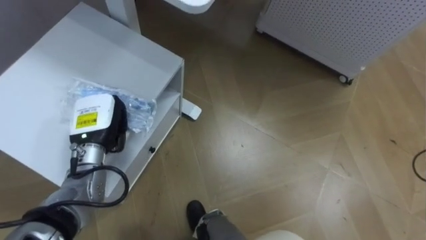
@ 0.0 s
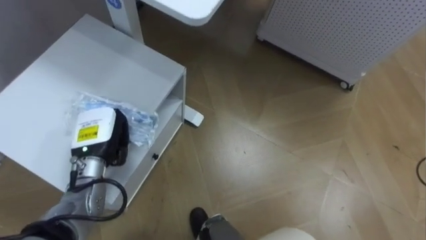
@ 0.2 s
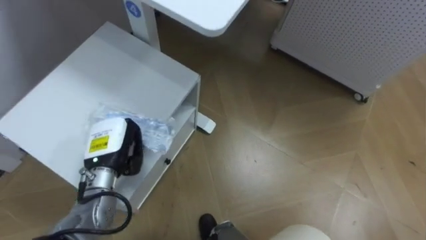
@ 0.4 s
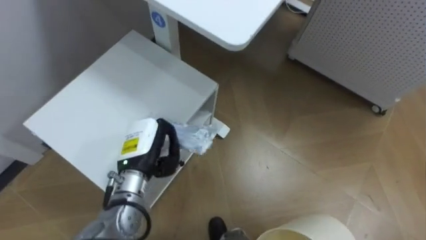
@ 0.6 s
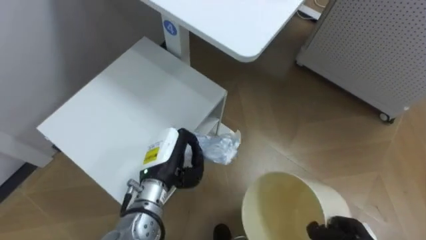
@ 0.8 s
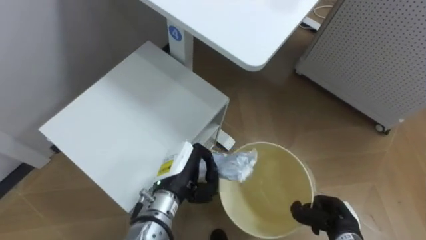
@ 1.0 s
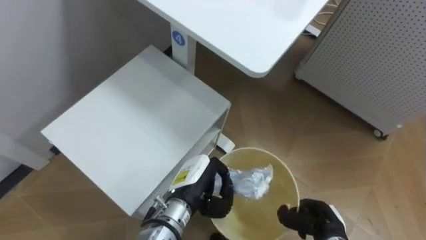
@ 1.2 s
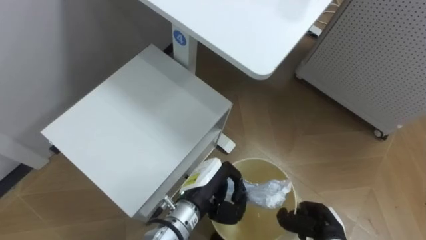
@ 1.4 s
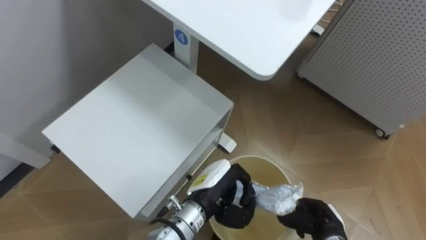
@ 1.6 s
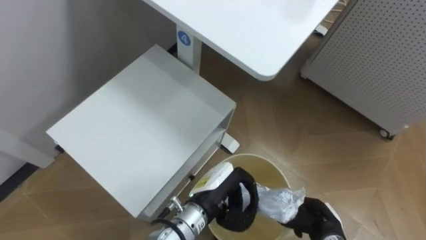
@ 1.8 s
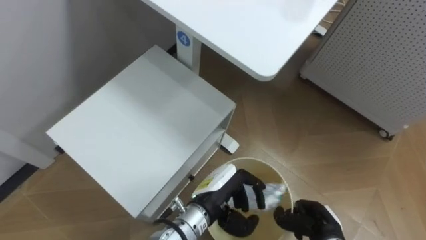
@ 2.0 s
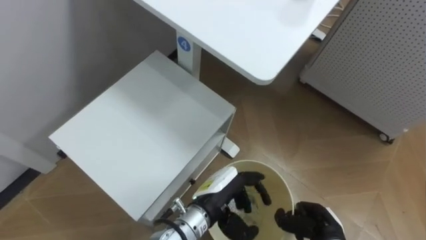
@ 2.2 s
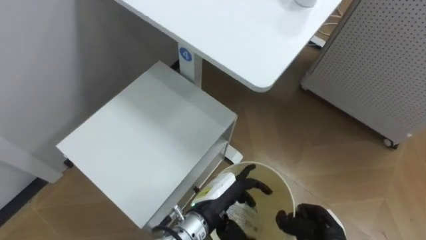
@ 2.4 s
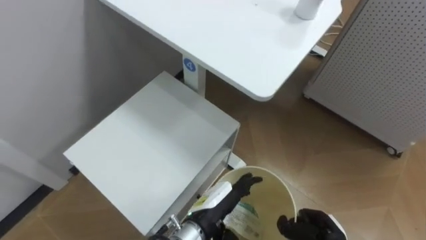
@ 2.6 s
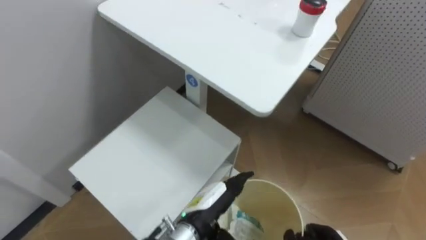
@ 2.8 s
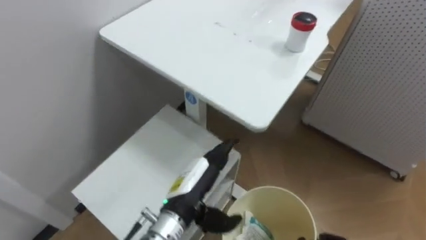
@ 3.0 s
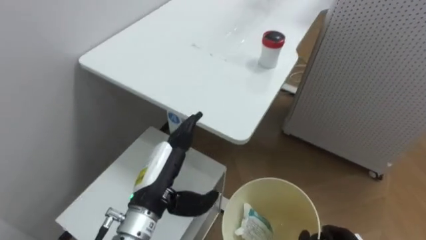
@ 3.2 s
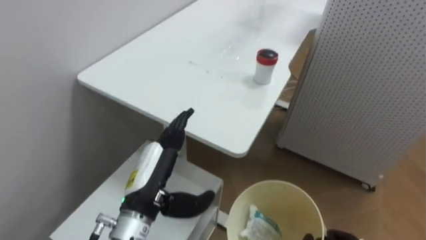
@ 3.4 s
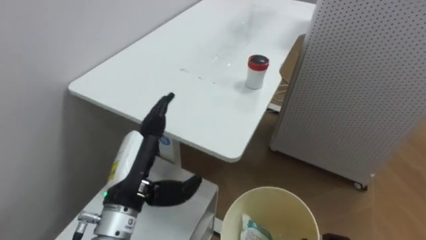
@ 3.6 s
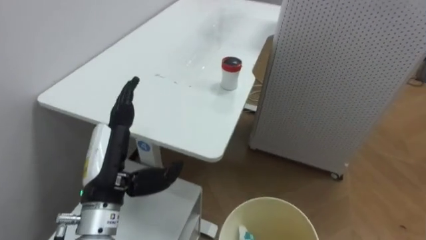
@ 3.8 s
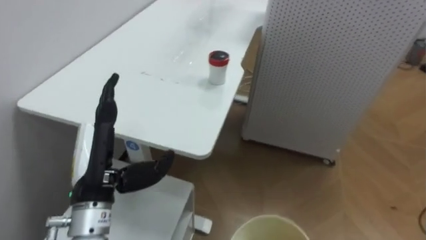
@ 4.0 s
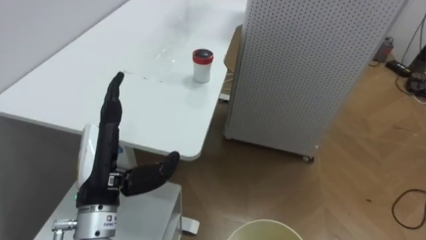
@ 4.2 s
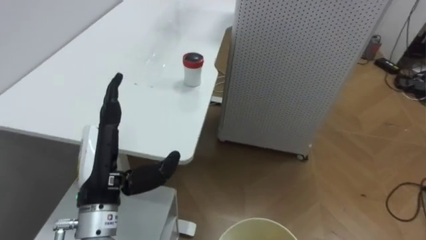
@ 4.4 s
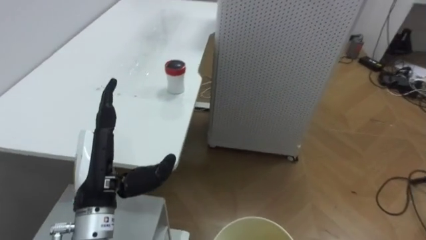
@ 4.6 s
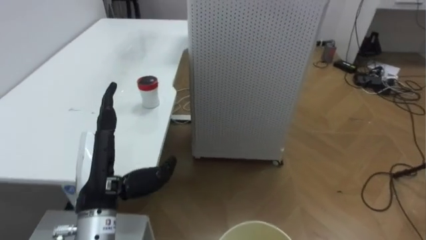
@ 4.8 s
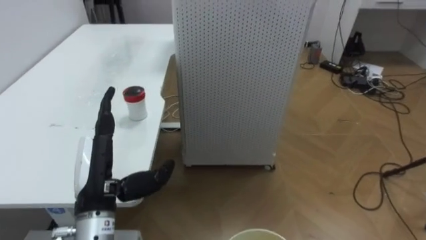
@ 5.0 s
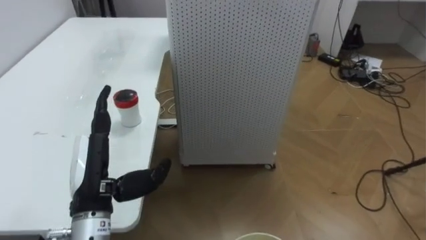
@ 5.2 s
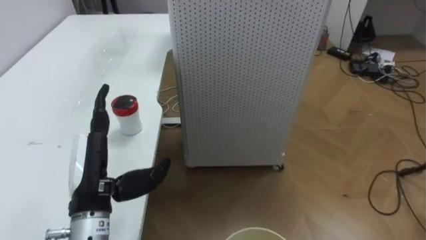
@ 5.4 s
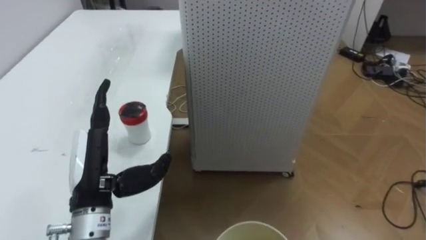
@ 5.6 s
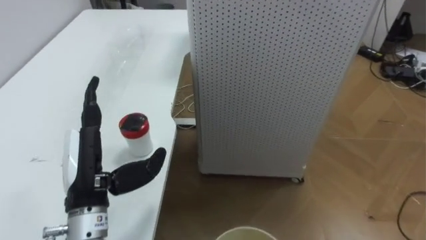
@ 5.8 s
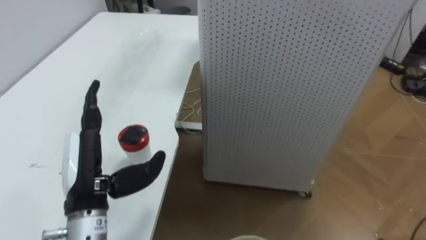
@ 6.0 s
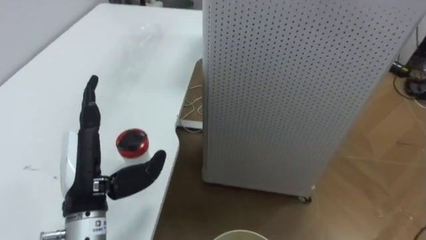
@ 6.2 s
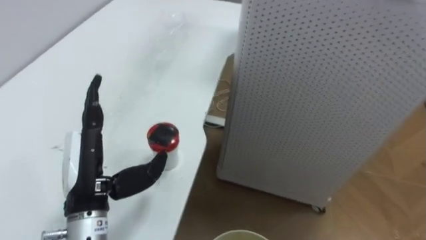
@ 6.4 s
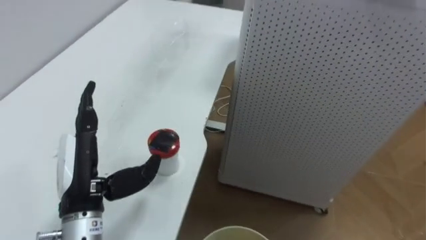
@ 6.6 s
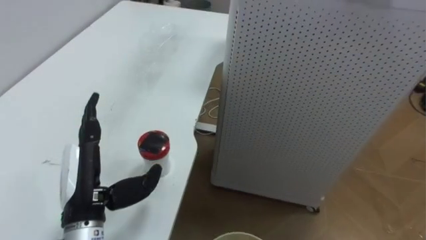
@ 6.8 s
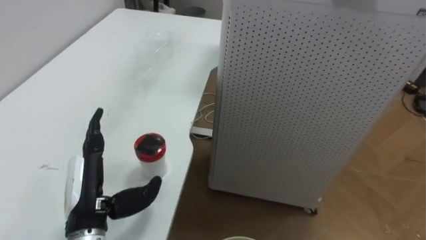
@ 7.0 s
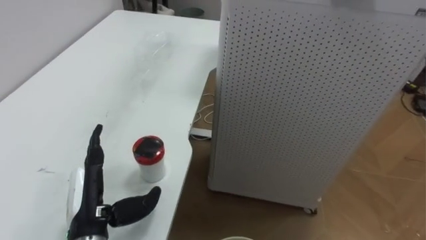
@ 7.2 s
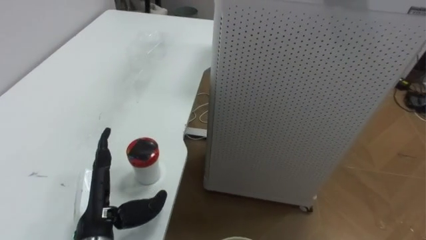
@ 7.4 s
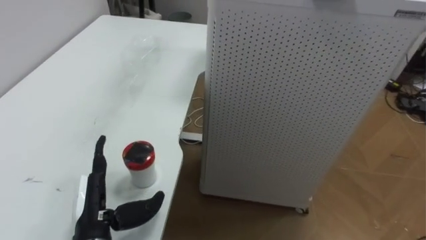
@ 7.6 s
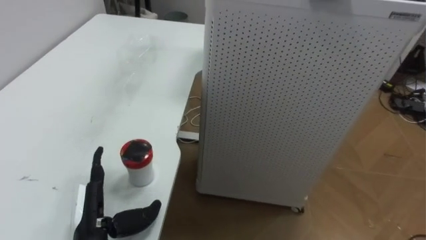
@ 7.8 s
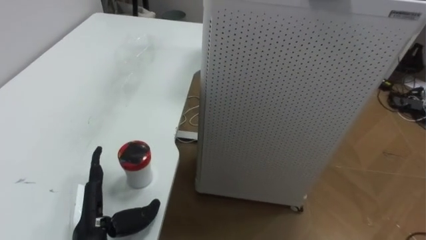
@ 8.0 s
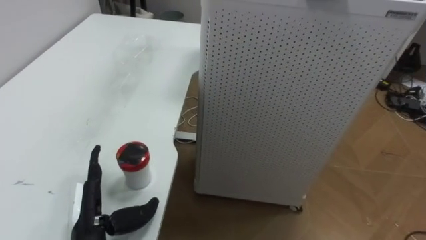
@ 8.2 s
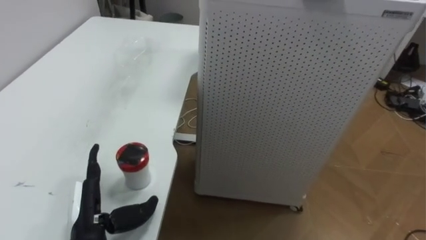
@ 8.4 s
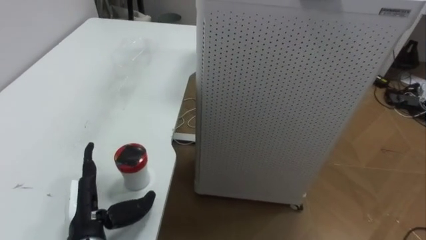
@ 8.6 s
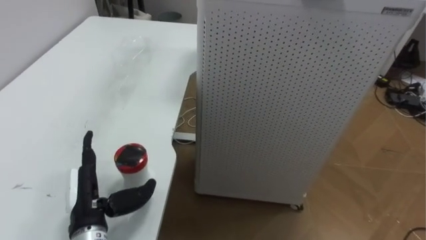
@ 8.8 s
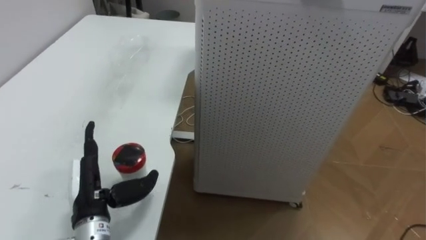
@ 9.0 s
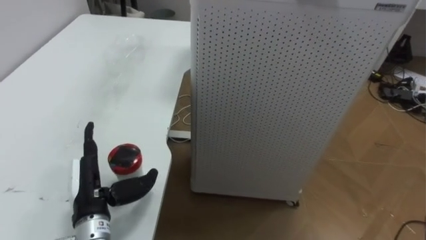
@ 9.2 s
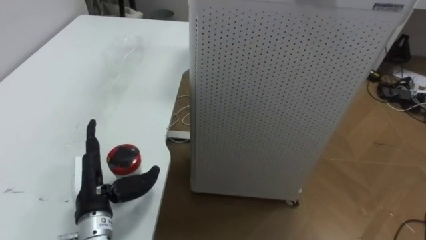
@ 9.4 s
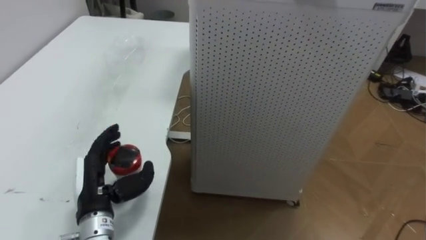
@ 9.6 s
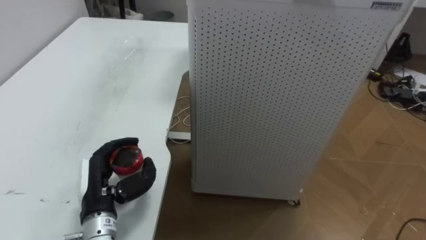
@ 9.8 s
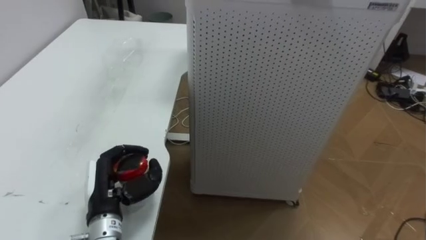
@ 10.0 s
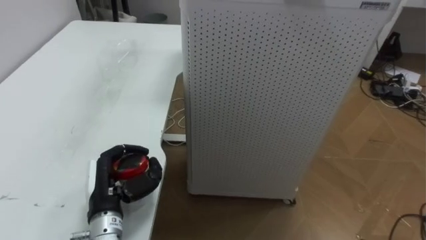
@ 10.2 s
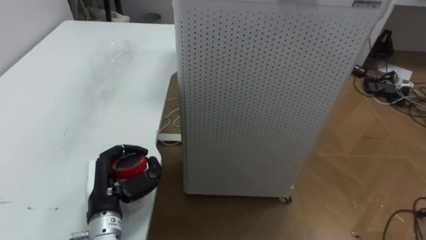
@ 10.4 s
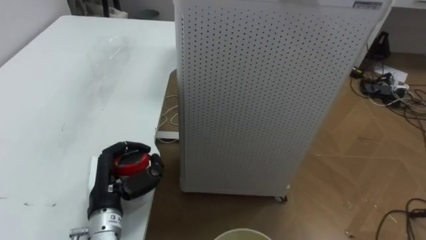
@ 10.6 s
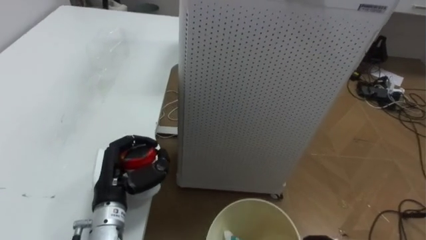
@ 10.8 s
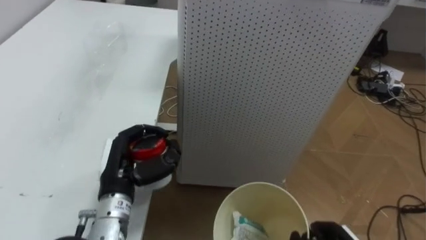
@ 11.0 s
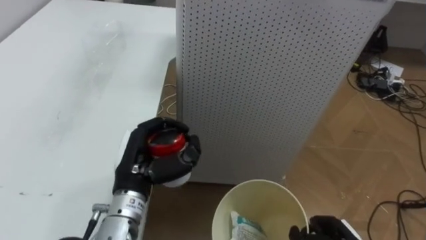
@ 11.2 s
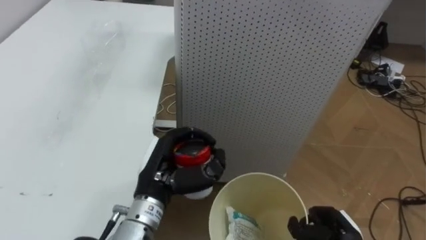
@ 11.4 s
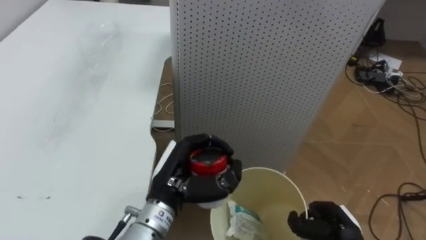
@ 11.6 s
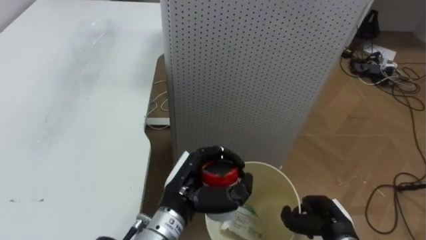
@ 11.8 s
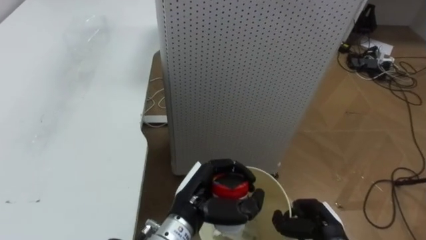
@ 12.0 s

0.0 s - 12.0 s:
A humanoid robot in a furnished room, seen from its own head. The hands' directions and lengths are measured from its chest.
Task of the whole recording: Pick up the light blue package, the candy box, and the dark blue package separately, and put them into the trash can held in your right hand.
0.0 s - 1.6 s: The left hand shifts roughly 25 cm to the right and backward.
1.6 s - 3.0 s: The left hand opens.
3.0 s - 4.4 s: The robot faces some 30 degrees further to its right. The left hand moves to the left and upward, roughly 15 cm.
6.0 s - 7.6 s: The left hand shifts approximately 10 cm downward.
9.0 s - 10.4 s: The left hand closes up.
10.4 s - 12.0 s: The left hand is displaced to the right by some 15 cm.

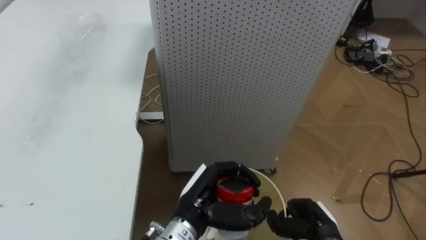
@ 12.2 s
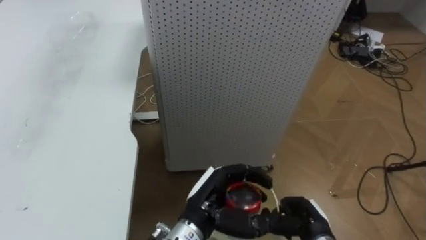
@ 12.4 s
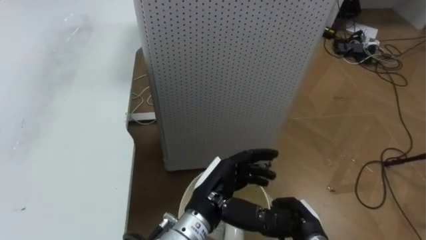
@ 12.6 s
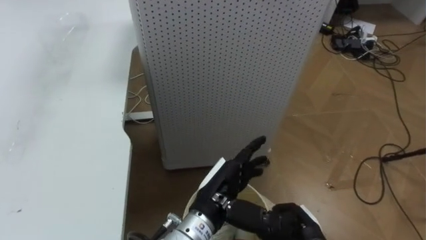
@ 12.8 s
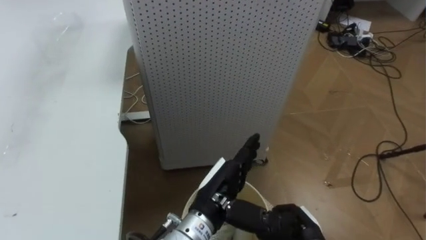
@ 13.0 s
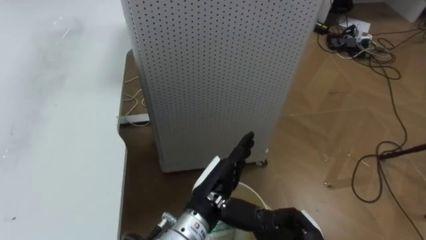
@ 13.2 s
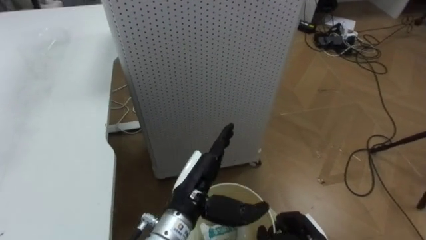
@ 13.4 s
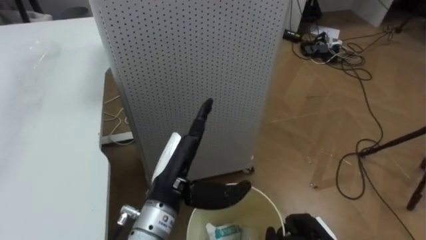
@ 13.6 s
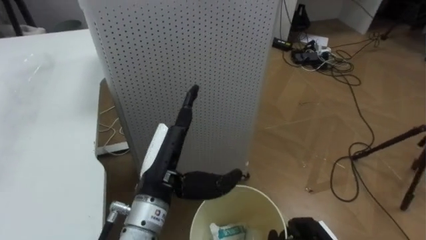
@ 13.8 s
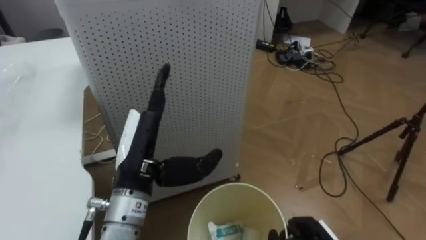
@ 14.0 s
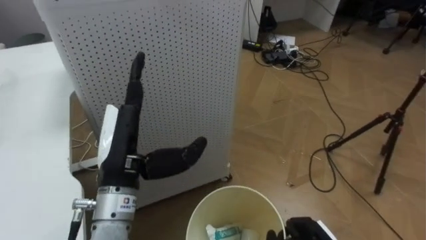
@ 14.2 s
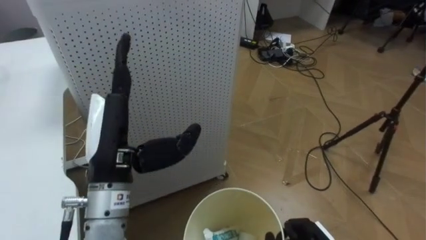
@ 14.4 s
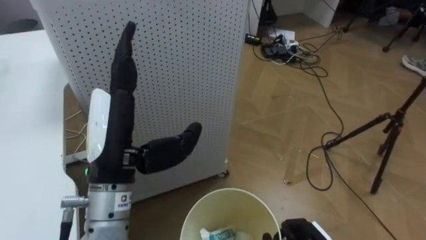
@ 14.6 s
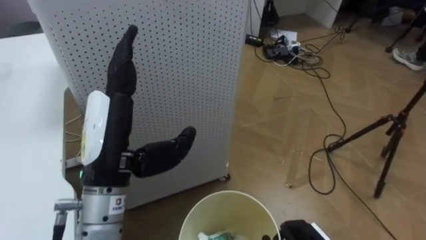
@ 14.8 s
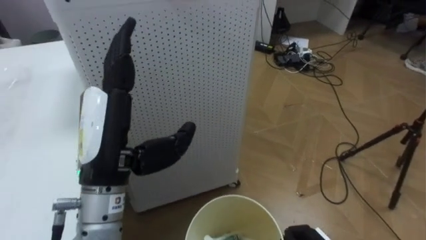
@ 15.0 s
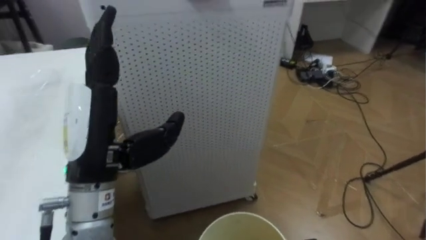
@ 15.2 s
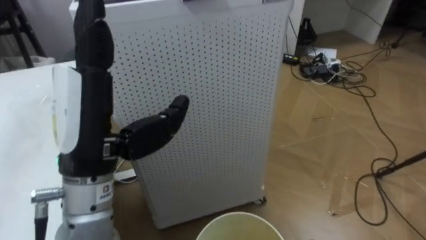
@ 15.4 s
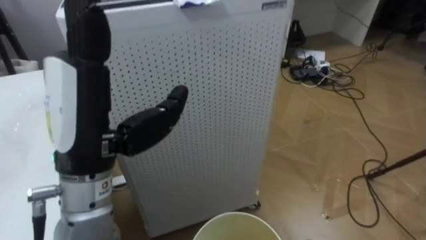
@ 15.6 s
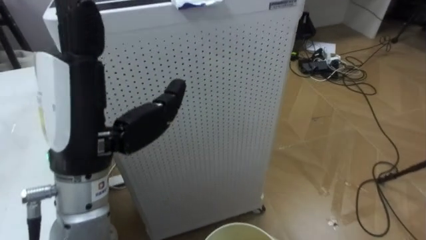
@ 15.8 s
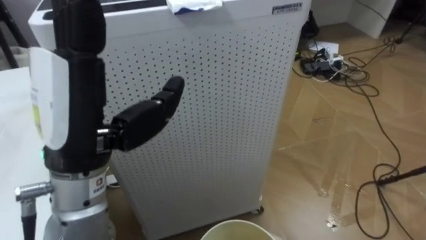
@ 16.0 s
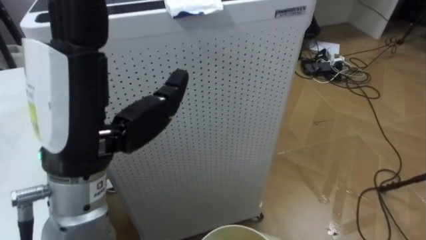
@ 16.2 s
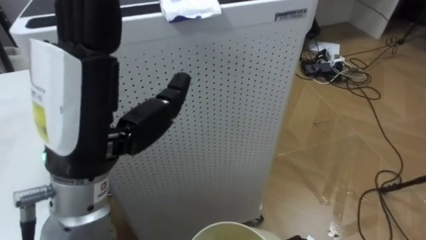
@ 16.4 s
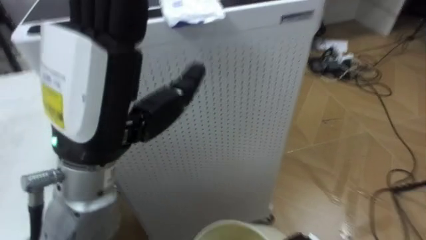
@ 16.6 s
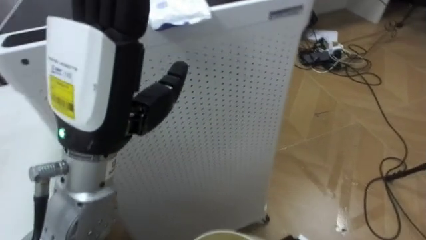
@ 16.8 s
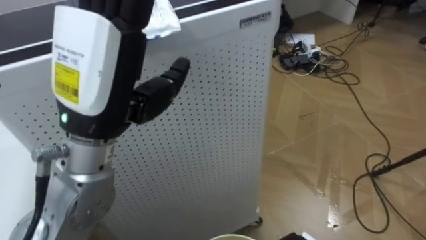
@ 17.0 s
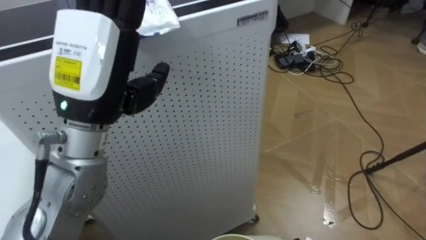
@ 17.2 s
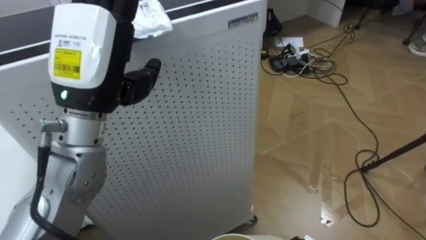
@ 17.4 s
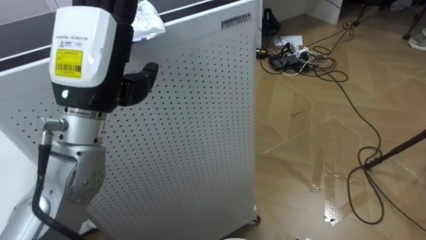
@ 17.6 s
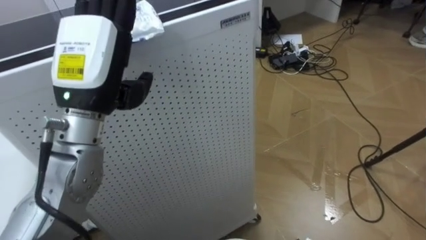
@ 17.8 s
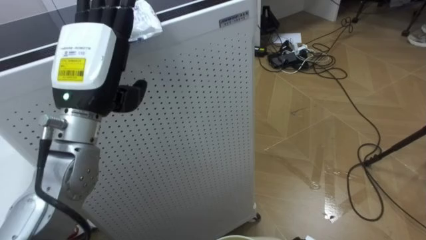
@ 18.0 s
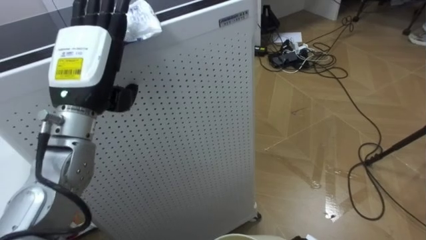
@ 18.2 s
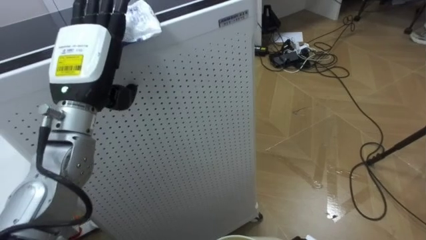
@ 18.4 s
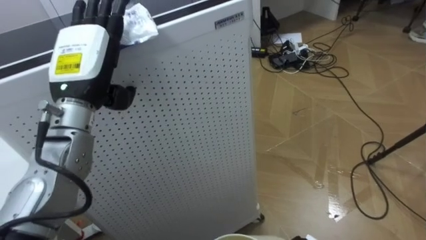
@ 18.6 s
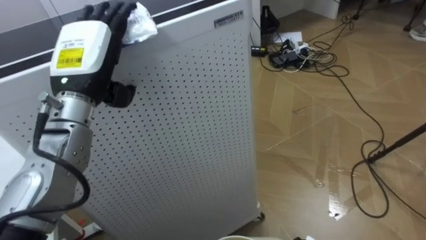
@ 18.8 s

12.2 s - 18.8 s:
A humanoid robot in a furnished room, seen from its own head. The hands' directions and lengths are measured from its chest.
Task of the whole recording: Pick up the light blue package, the candy box, and the dark blue package separately, and put them into the trash can held in your right hand.
12.2 s - 13.8 s: The left hand travels upward and to the left by roughly 10 cm, and opens.
13.8 s - 15.4 s: The left hand moves upward and to the left, about 15 cm.
15.4 s - 17.2 s: The left hand changes place by about 5 cm.
17.2 s - 18.8 s: The left hand shifts about 10 cm forward.
